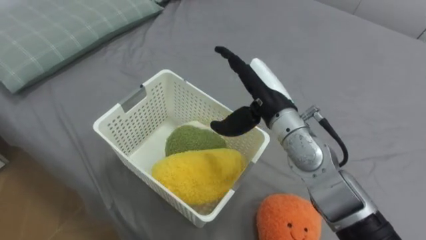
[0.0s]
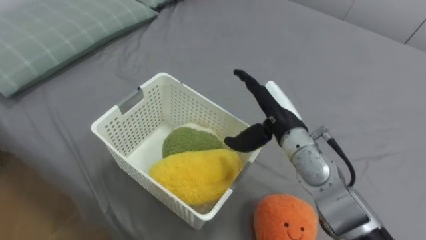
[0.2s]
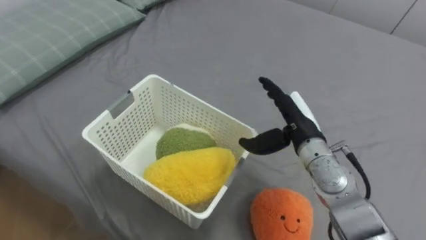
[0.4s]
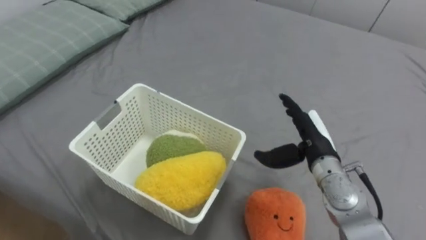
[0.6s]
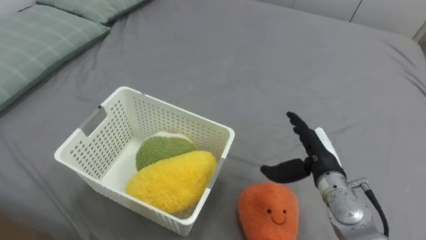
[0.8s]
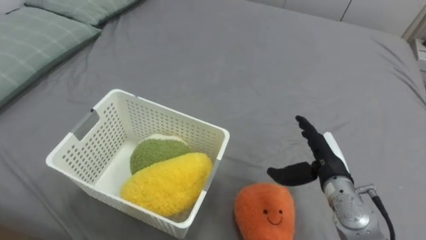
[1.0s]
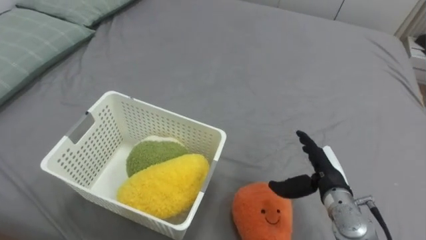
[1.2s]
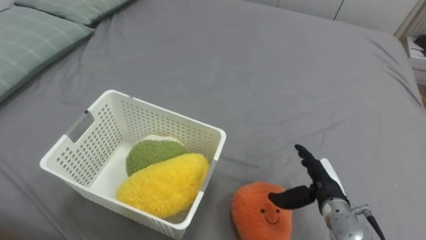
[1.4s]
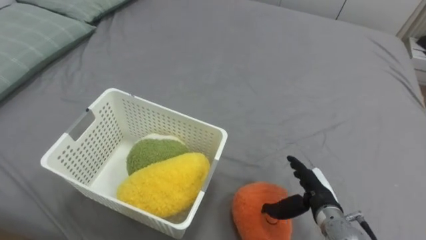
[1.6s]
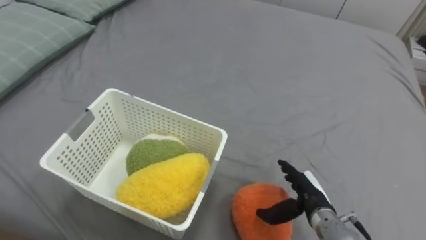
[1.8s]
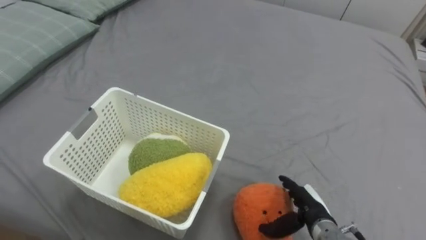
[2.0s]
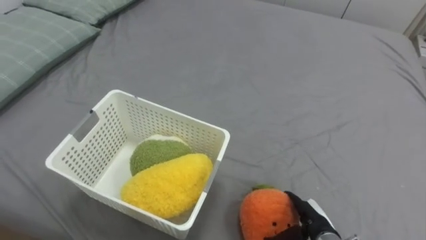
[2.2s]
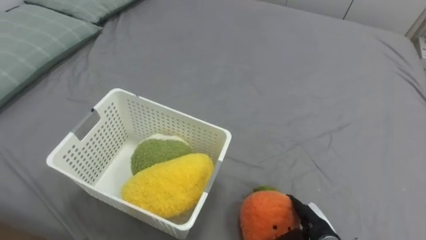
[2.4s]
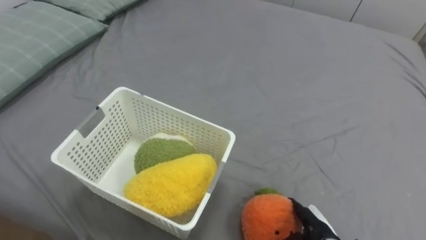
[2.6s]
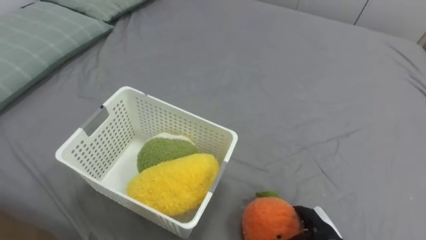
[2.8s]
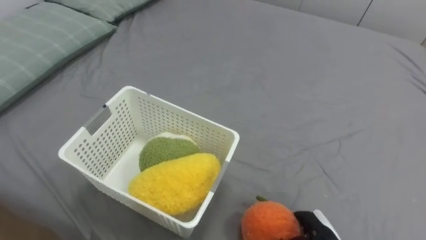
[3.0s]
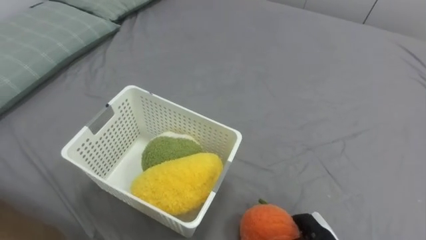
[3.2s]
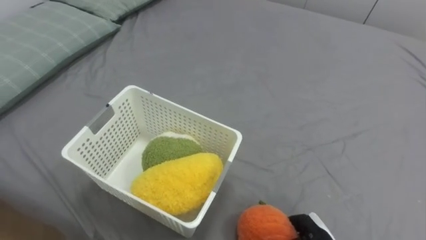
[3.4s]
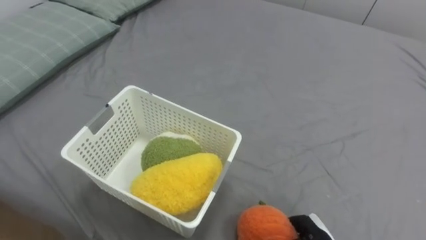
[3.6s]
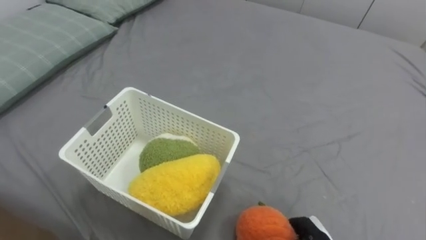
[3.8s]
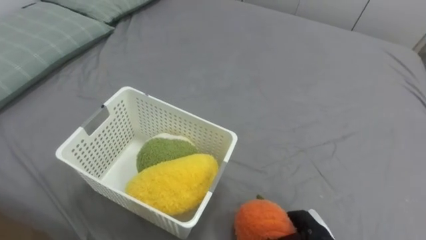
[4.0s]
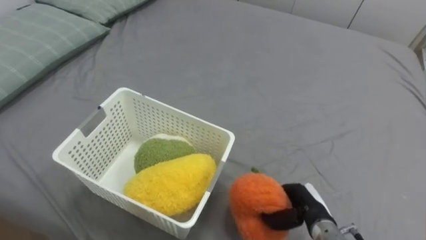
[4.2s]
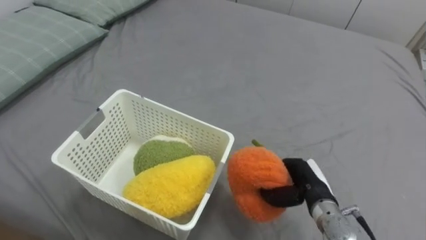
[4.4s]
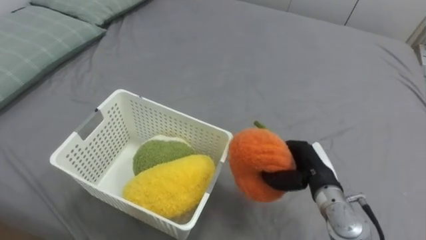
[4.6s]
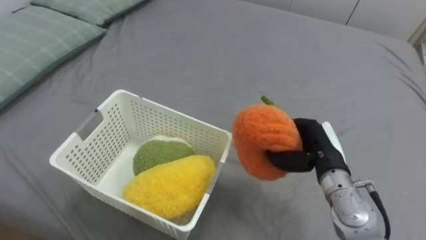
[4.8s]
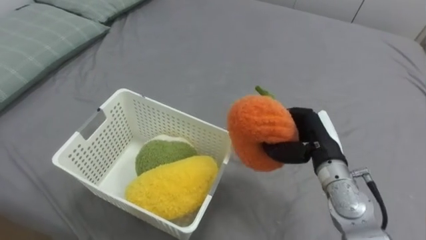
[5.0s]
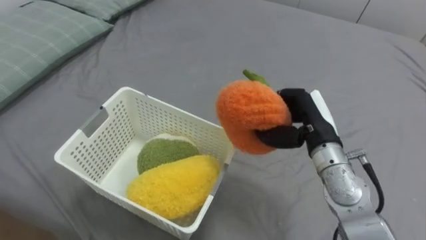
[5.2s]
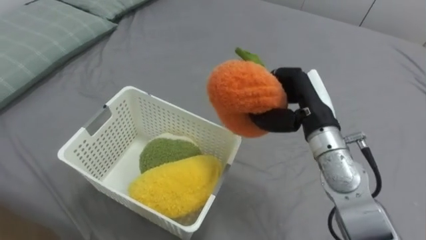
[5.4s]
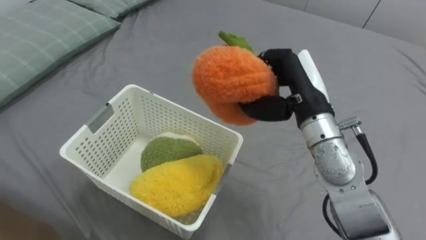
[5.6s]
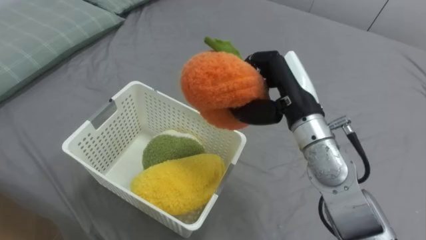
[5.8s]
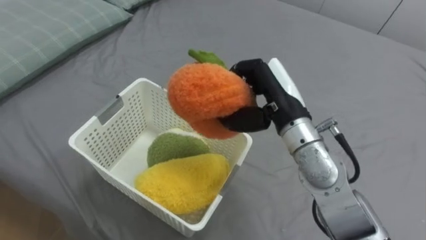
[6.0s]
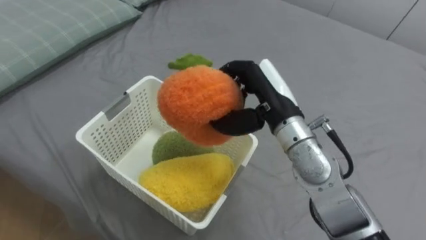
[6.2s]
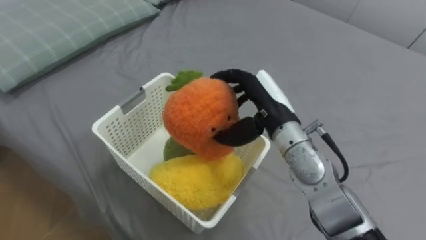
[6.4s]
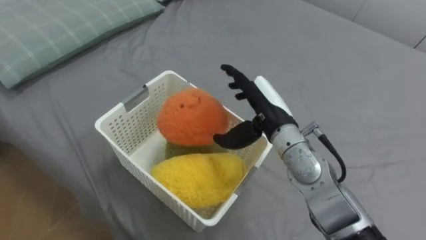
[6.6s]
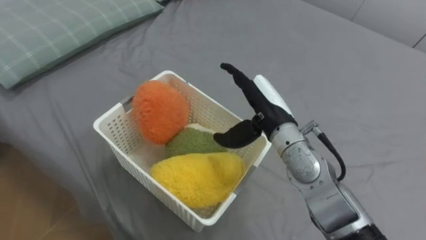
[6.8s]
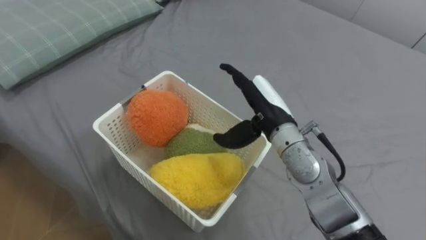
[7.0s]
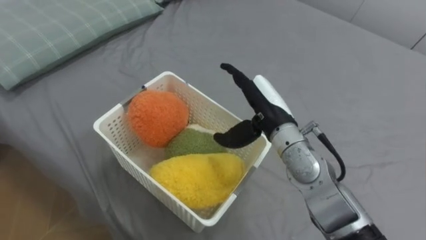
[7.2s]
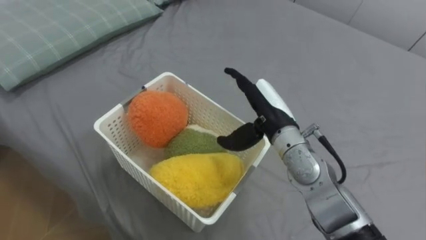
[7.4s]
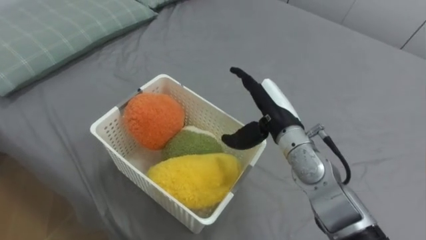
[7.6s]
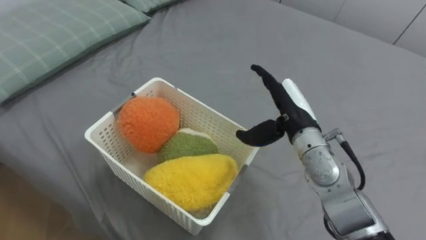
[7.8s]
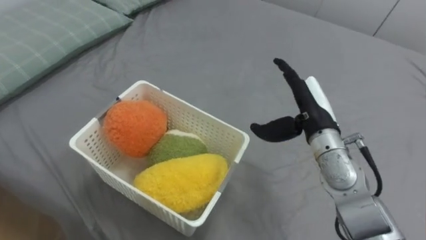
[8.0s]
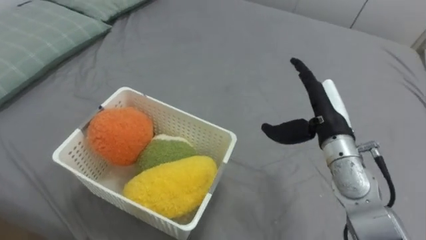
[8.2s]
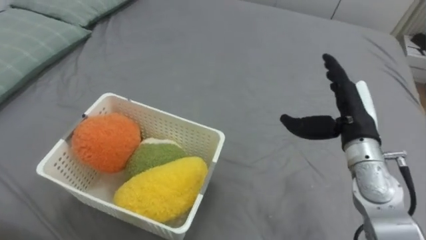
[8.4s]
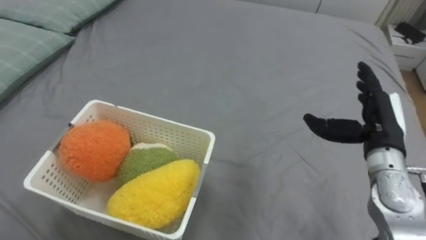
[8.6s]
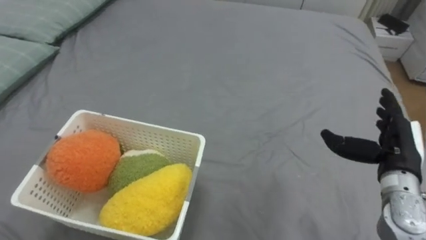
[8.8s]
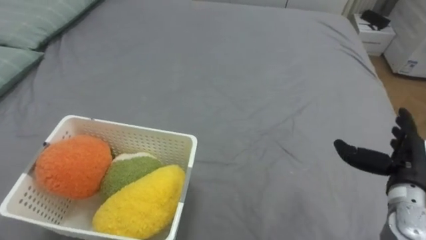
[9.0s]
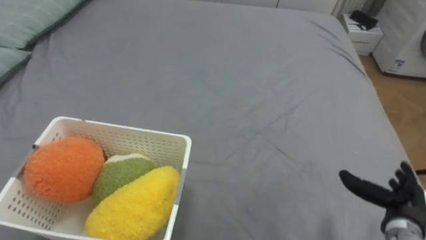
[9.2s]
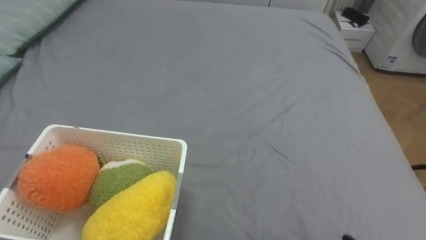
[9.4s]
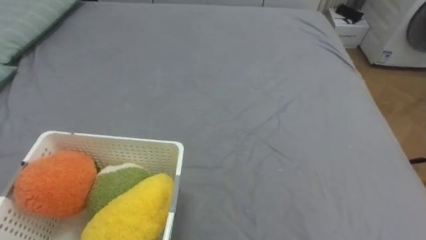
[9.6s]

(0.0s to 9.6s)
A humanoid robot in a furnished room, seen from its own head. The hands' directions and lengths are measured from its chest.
Task of the whole recording: Put the toys on the bed into the basket on the left.
0.0s - 1.6s: The right hand shifts about 25 cm downward, to the right and backward.
1.6s - 3.2s: The right hand is displaced downward and backward by approximately 10 cm, and closes its fingers.
3.2s - 4.8s: The right hand heads upward and forward, covering some 20 cm.
4.8s - 6.4s: The right hand goes approximately 15 cm to the left and upward, and opens its fingers.
6.4s - 8.0s: The right hand is displaced to the right by approximately 5 cm.

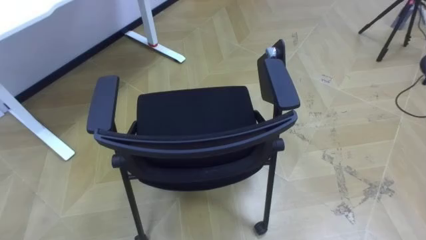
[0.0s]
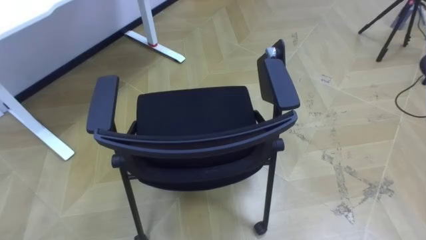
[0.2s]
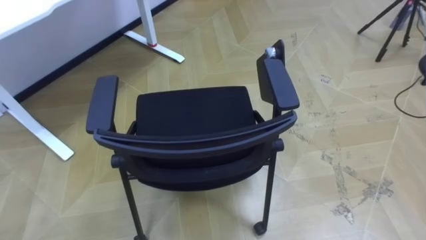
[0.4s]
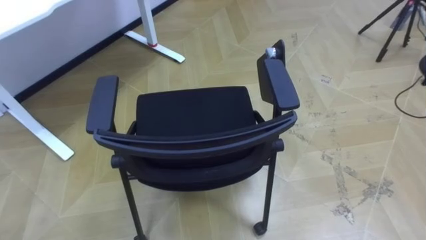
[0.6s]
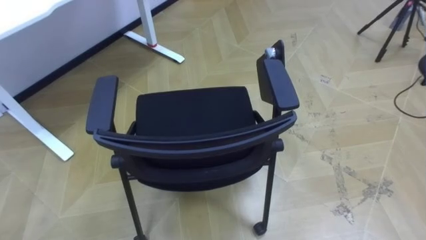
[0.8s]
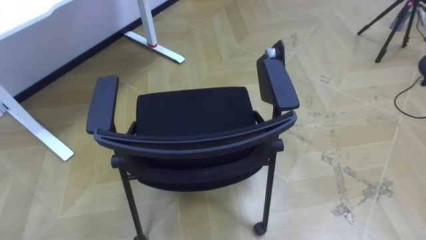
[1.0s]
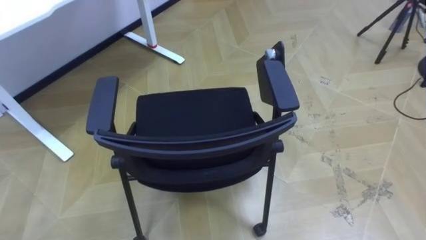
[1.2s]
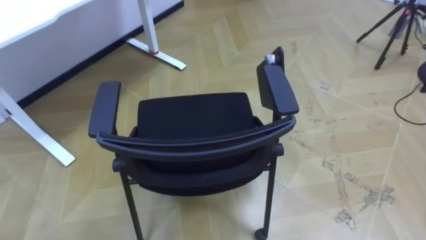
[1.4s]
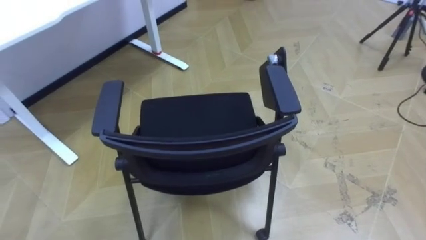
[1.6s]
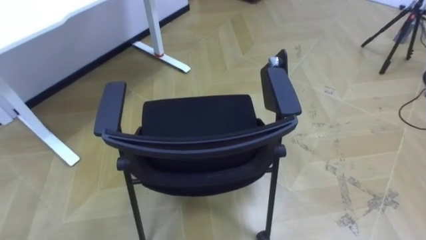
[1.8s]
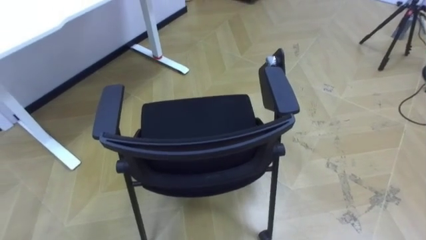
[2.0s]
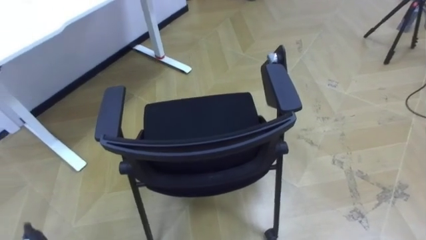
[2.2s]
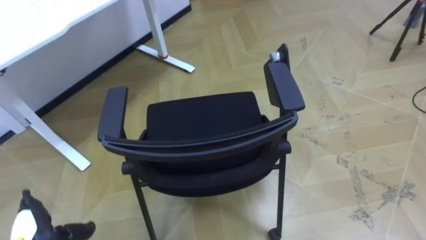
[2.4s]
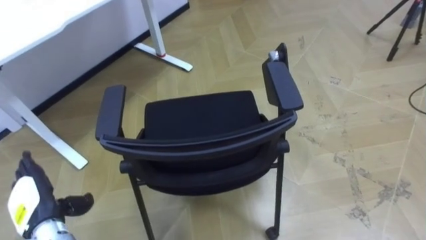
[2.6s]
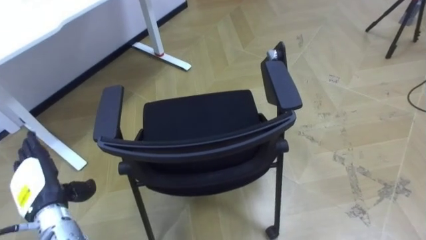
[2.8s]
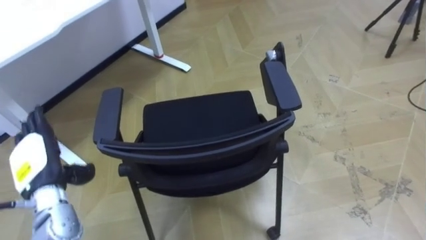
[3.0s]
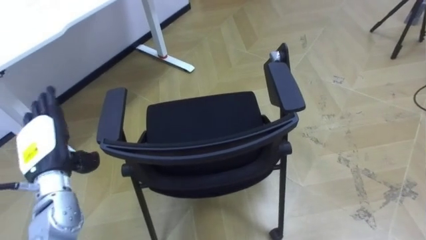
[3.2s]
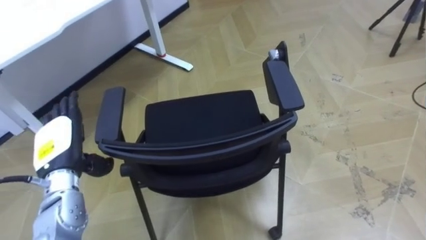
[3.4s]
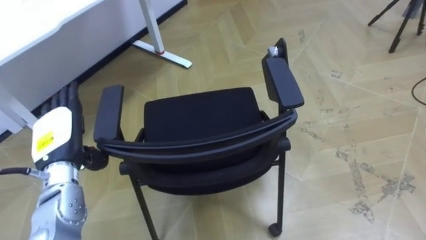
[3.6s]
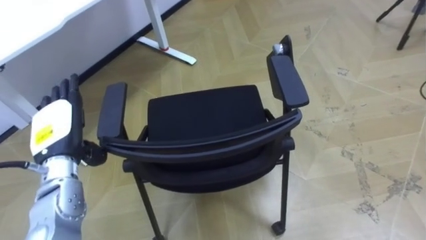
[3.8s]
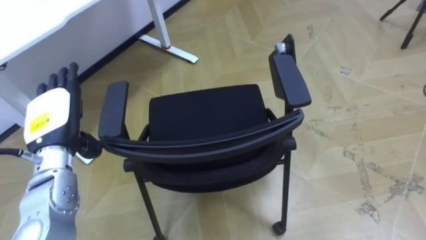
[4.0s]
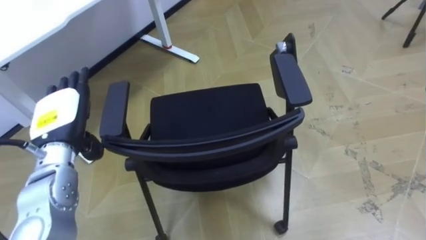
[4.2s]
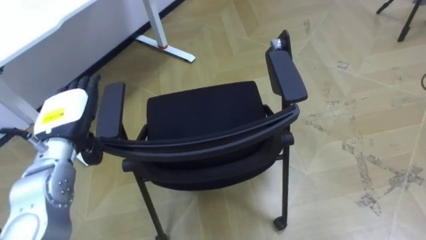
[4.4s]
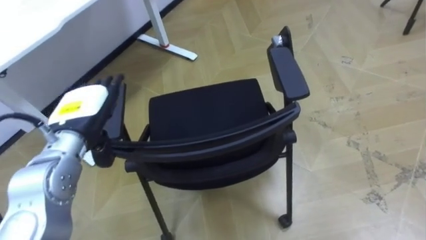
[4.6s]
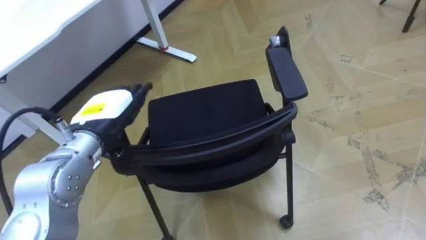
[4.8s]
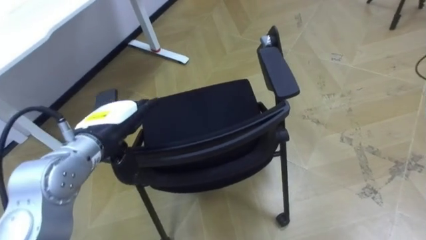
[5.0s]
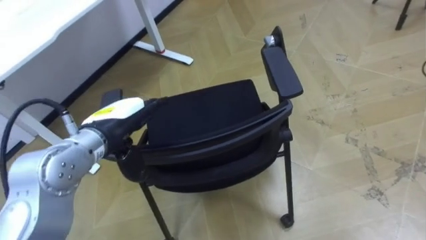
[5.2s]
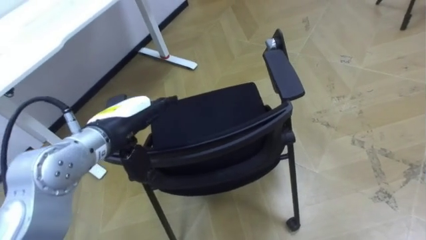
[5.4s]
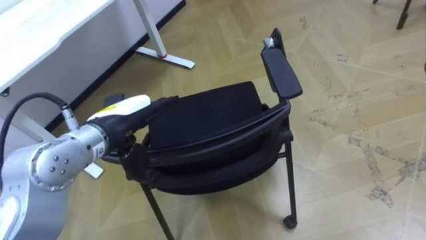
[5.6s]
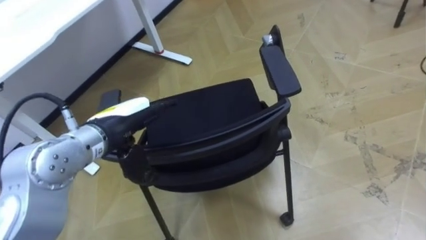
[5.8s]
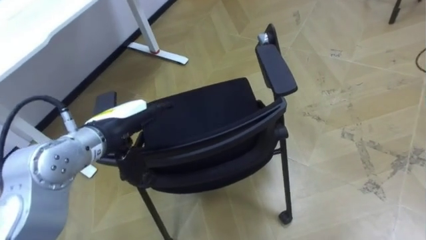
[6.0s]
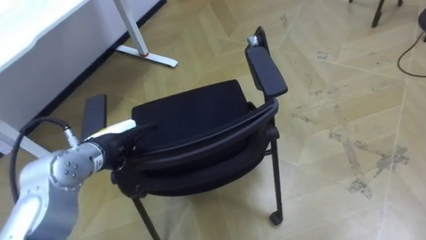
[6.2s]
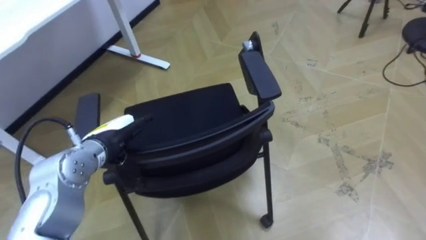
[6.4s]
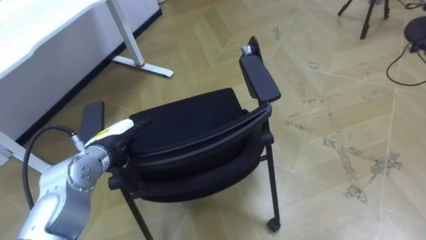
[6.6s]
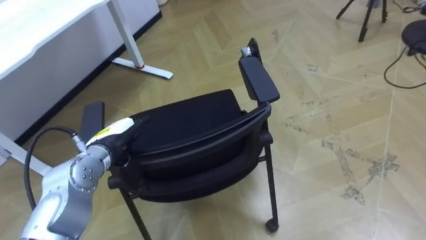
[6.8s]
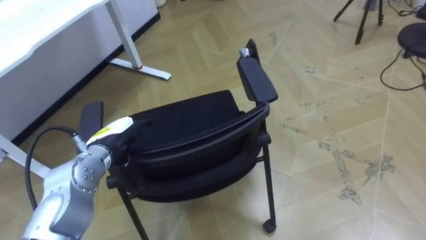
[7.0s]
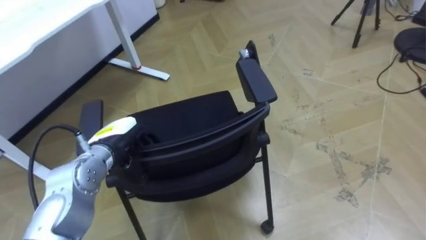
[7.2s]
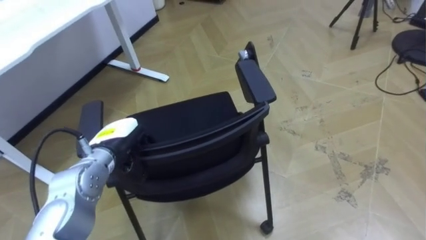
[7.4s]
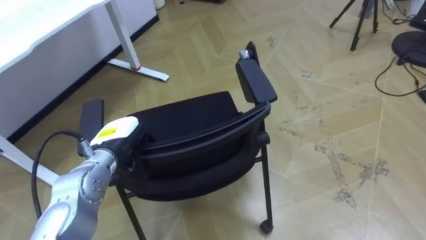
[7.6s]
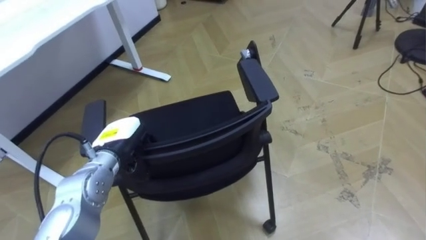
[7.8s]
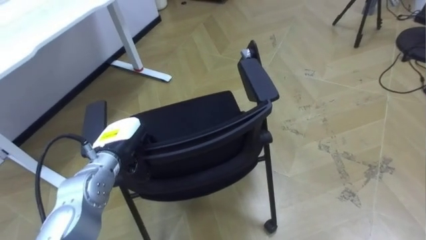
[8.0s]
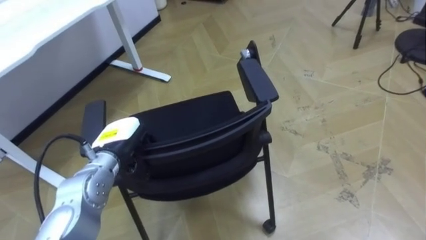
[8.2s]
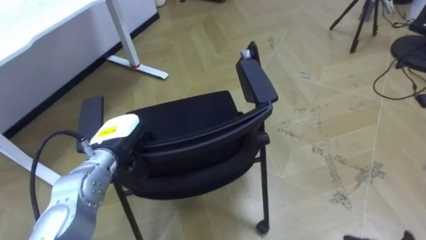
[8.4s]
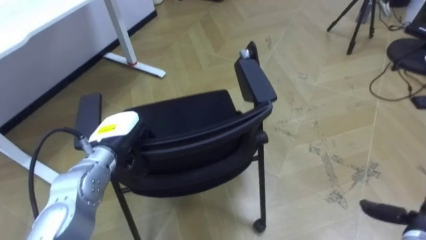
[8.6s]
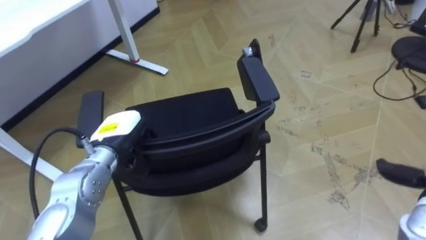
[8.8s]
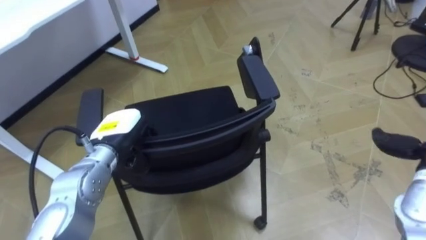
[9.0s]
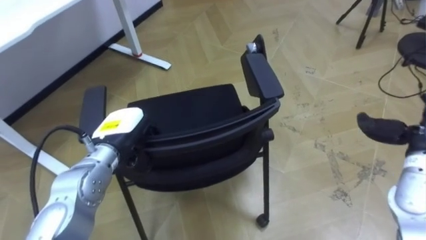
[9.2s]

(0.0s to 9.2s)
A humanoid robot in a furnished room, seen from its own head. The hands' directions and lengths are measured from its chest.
Task of the whole recording: Push the chair under the table.
3.0s - 4.6s: The left hand travels to the right and upward by approximately 15 cm.
4.6s - 6.2s: The left hand goes some 5 cm downward.
6.2s - 7.6s: The left hand closes.
